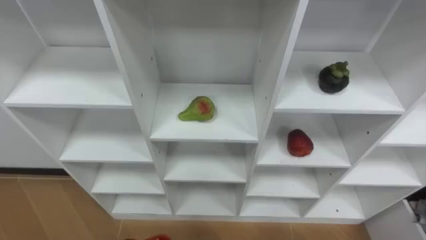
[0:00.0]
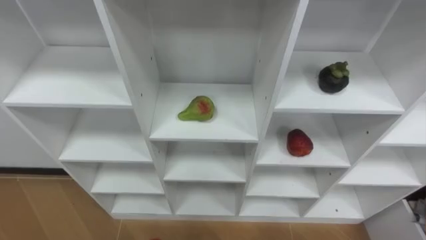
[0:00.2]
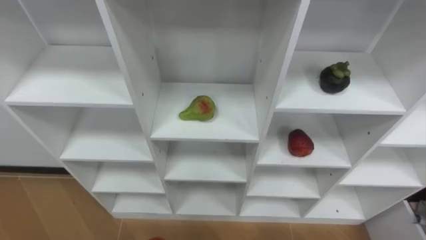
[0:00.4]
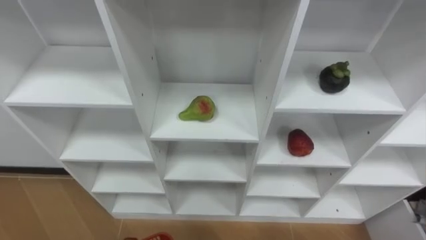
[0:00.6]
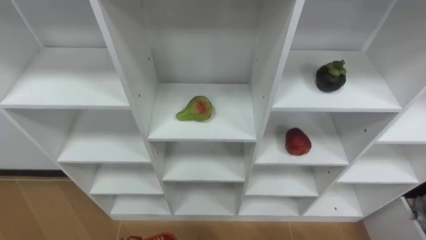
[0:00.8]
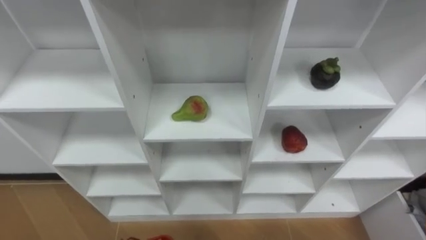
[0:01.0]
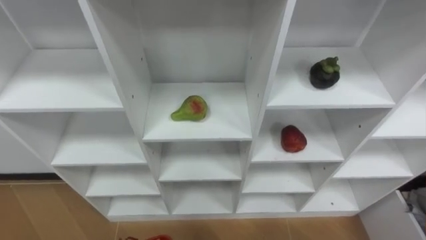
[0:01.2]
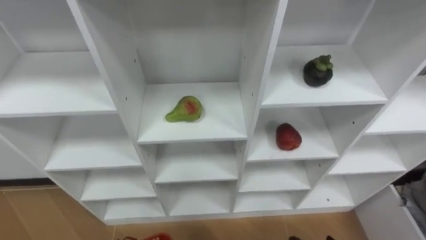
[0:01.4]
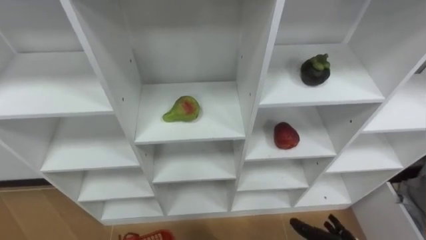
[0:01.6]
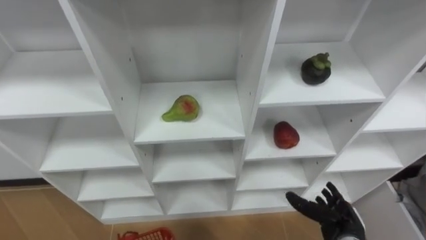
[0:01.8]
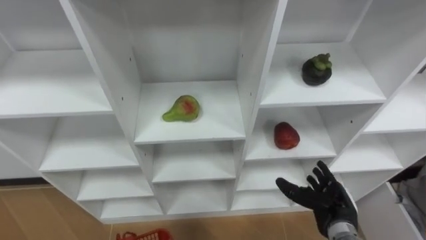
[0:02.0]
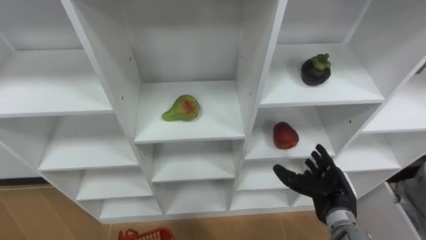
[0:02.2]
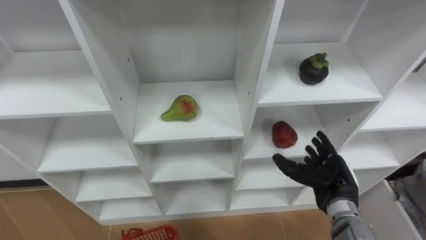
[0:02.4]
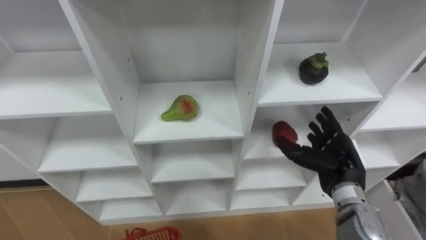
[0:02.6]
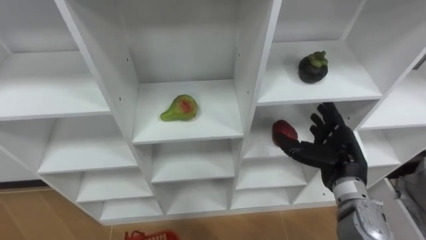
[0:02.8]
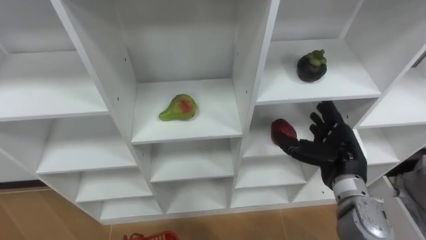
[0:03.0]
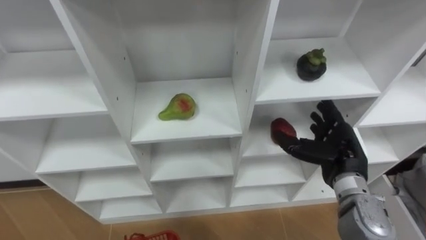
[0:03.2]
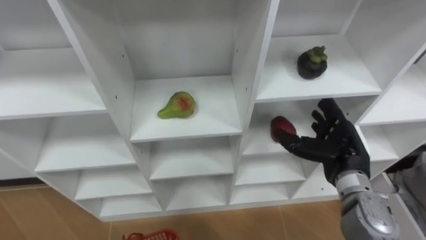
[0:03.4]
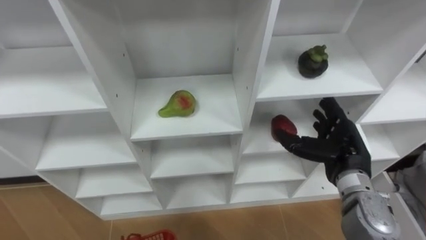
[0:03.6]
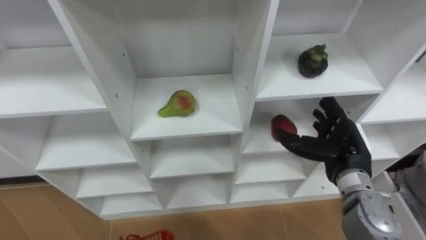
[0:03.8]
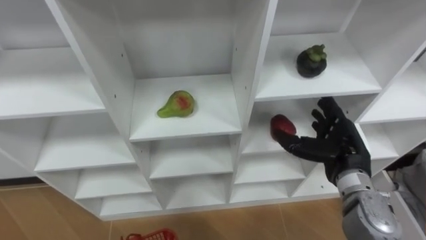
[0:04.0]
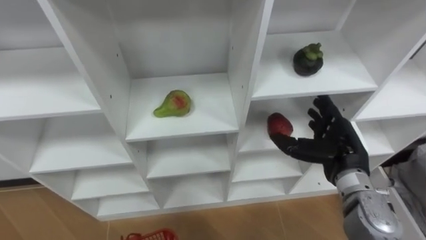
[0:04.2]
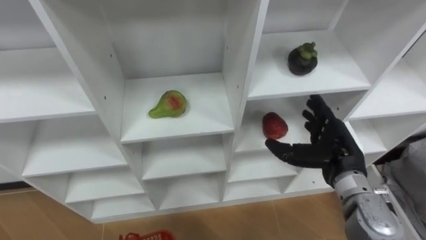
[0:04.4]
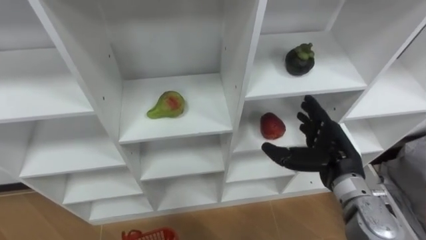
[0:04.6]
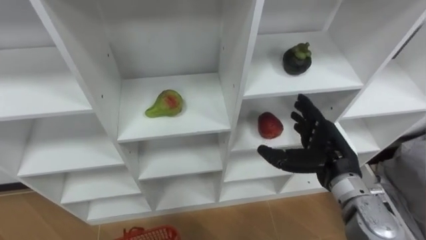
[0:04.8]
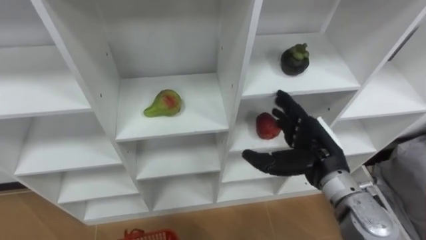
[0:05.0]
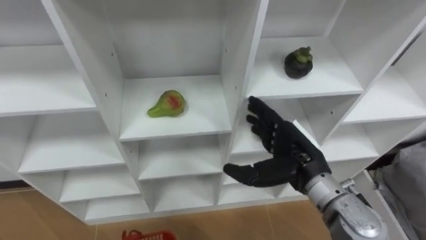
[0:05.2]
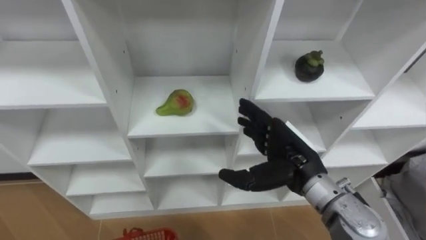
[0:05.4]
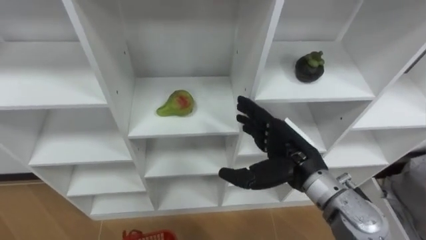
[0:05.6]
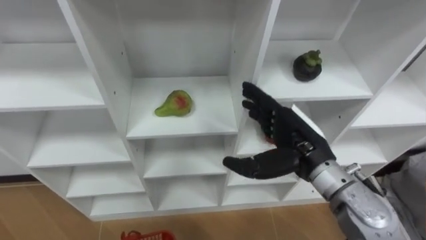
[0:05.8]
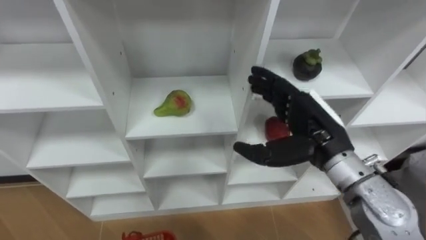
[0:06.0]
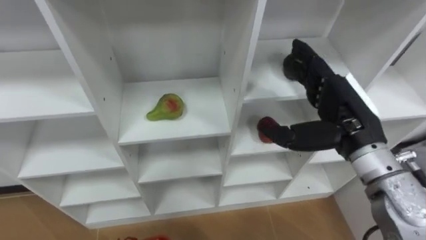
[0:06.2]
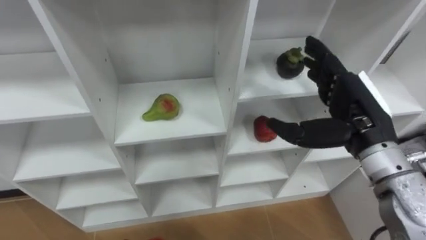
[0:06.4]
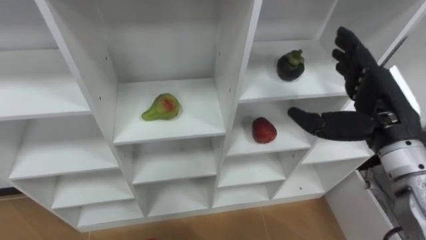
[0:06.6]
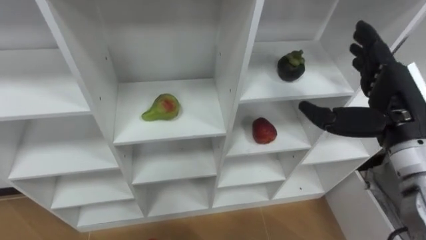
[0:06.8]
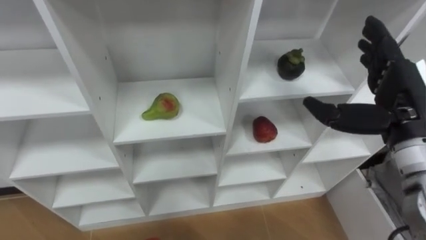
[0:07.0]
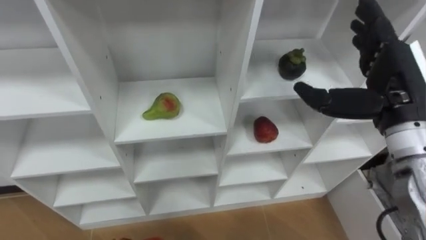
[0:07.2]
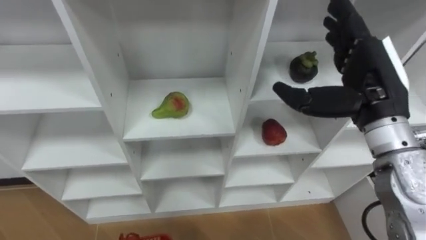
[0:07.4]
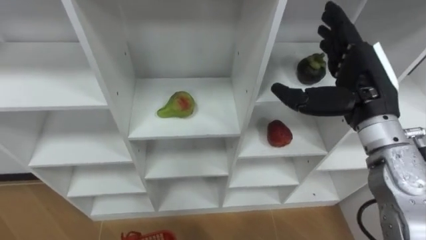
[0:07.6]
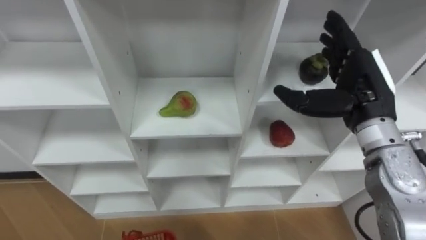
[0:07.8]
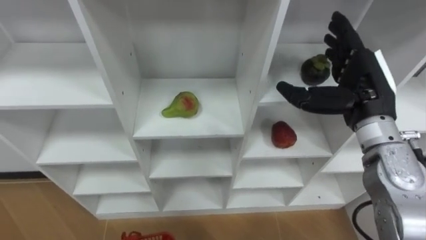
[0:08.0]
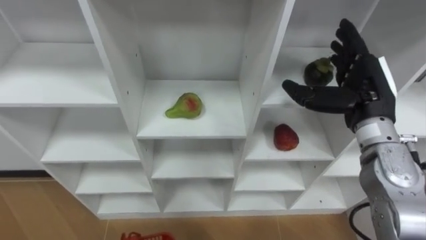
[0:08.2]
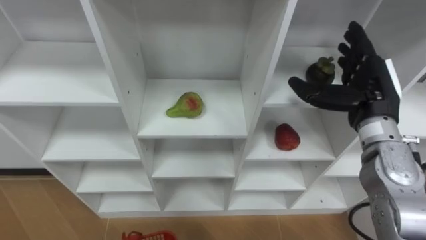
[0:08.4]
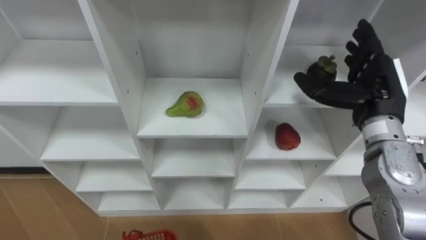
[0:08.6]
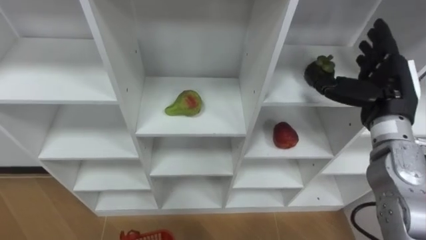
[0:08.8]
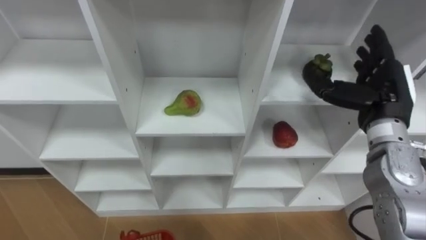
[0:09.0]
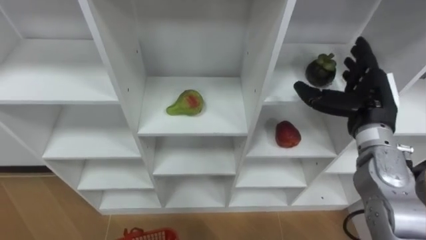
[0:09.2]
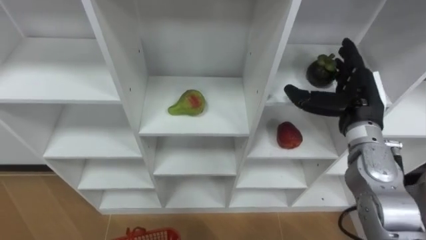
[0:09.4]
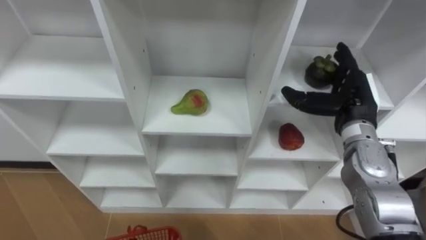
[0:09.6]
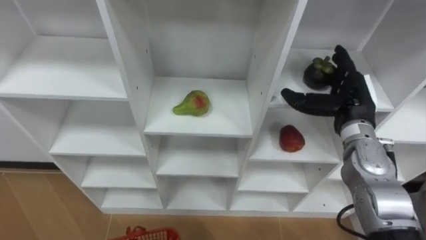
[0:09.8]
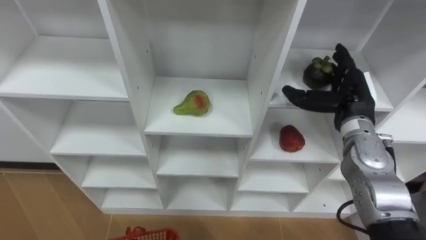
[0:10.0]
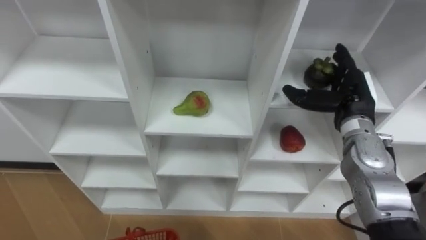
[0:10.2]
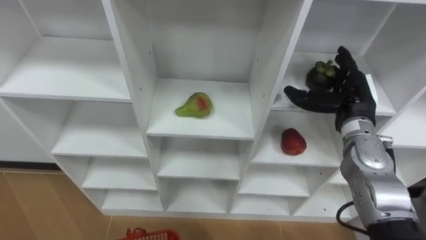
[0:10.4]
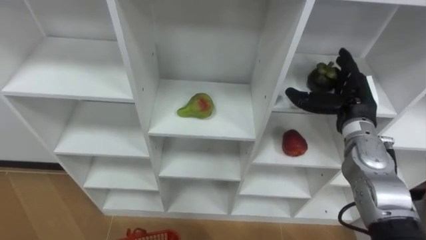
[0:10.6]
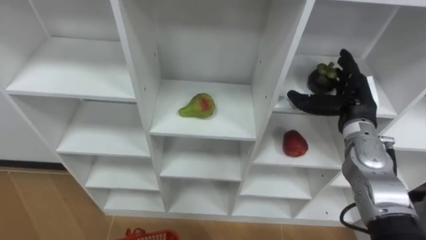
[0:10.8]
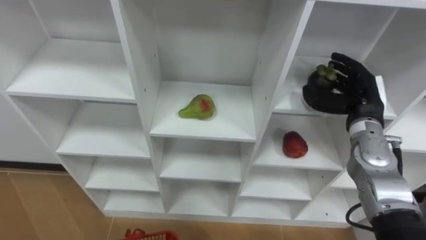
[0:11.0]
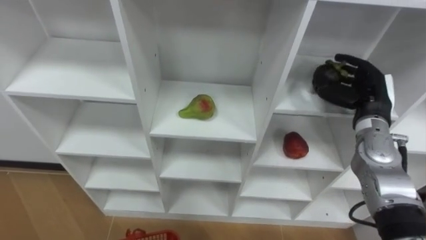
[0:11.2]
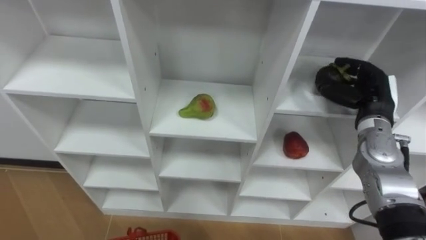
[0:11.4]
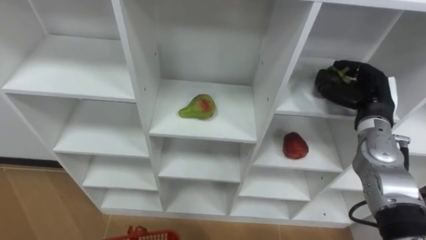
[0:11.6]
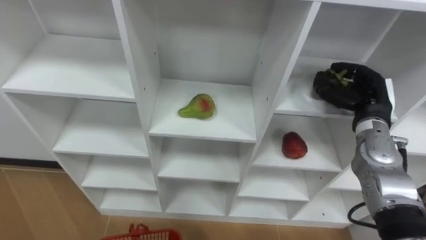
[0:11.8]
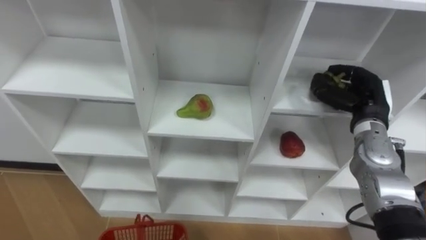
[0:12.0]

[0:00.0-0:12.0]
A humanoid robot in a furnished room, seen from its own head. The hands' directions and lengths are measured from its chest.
Task of the whole recording: Hold the basket and collect the fruits from 3 different cells of the closet into it.
0:04.4 to 0:06.0: The right hand is displaced upward and to the left by roughly 10 cm.
0:06.0 to 0:07.6: The right hand shifts some 10 cm to the right and upward.
0:07.6 to 0:09.0: The right hand shifts approximately 5 cm to the right.
0:09.0 to 0:10.4: The right hand moves downward, approximately 5 cm.
0:10.4 to 0:12.0: The right hand closes up.

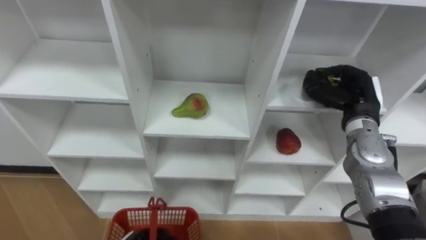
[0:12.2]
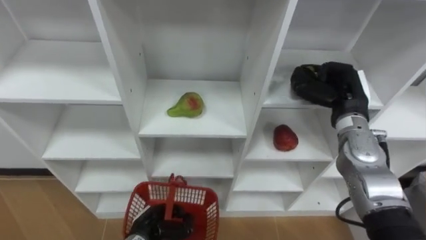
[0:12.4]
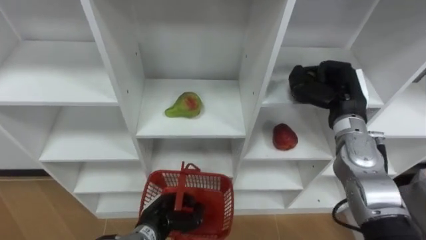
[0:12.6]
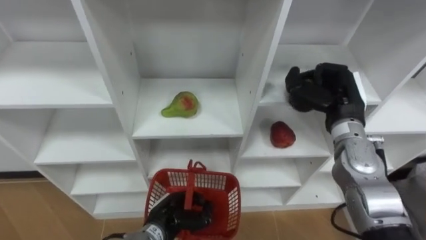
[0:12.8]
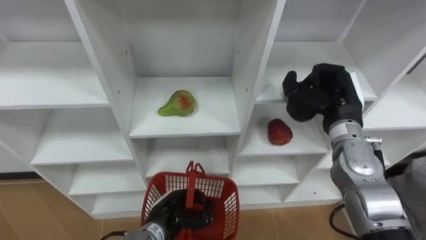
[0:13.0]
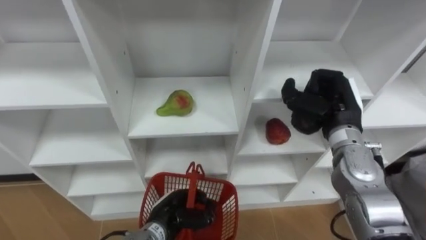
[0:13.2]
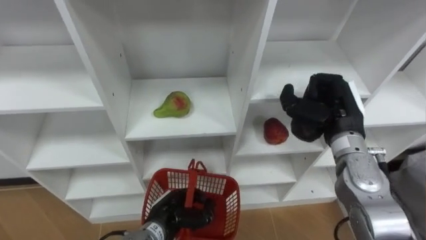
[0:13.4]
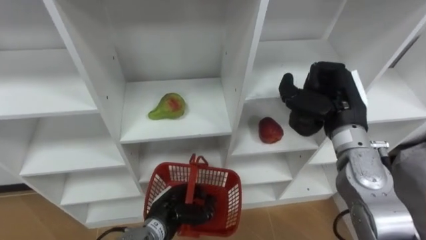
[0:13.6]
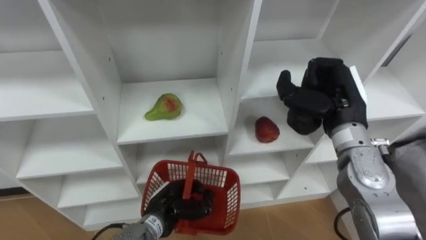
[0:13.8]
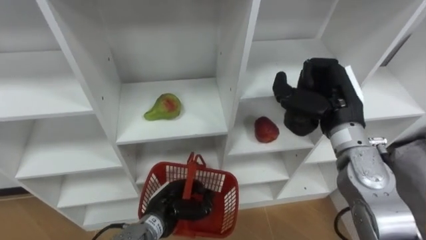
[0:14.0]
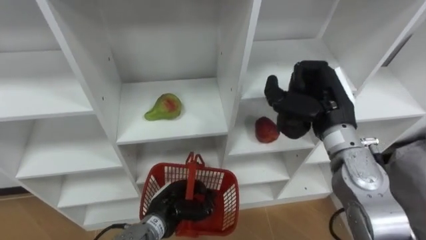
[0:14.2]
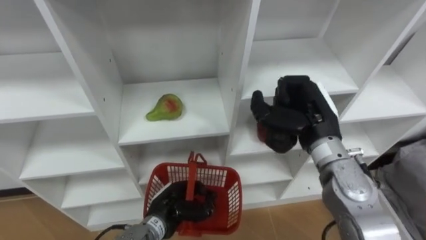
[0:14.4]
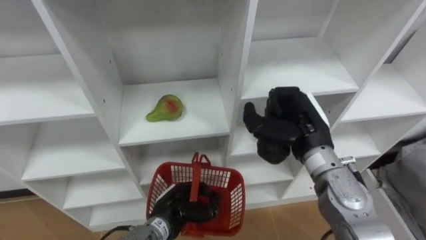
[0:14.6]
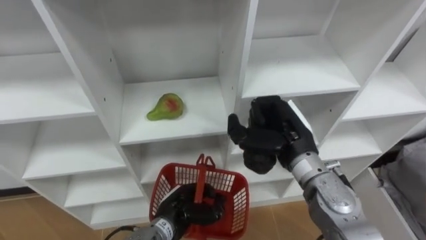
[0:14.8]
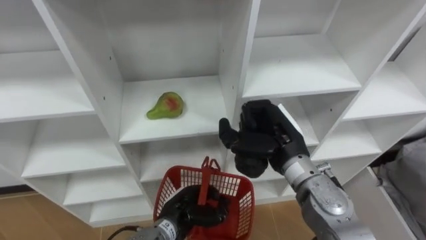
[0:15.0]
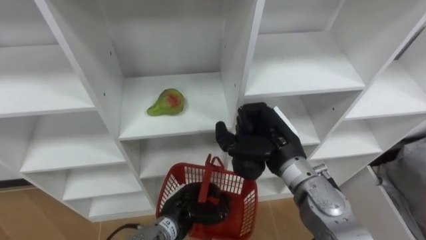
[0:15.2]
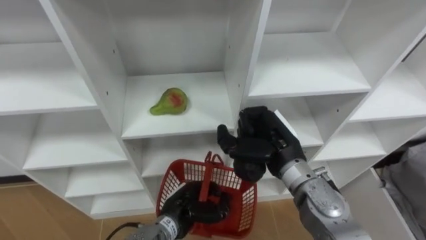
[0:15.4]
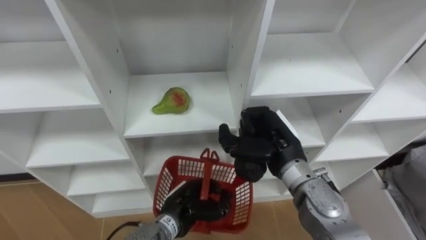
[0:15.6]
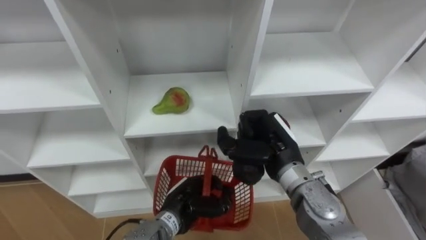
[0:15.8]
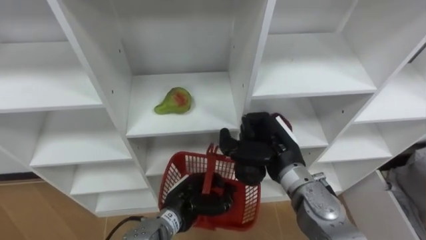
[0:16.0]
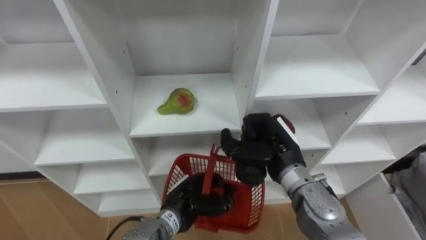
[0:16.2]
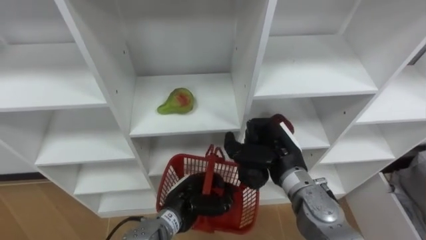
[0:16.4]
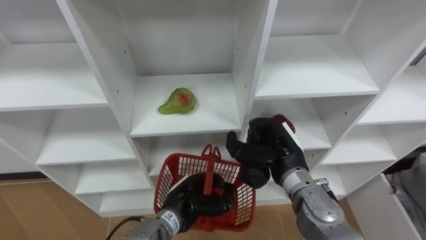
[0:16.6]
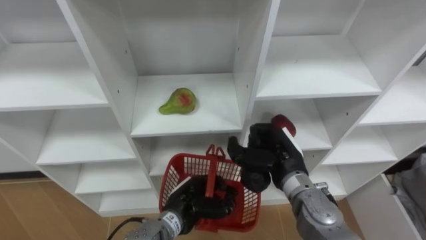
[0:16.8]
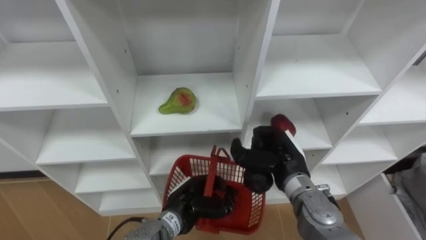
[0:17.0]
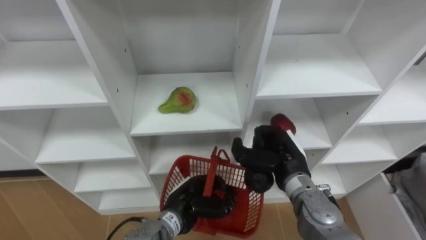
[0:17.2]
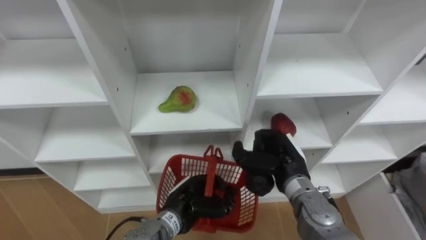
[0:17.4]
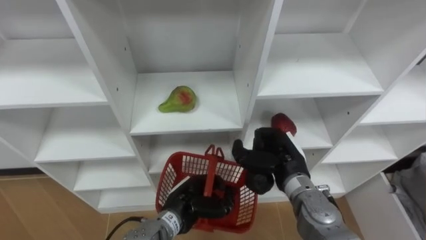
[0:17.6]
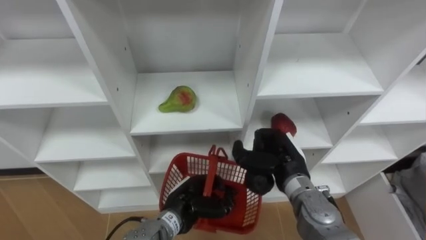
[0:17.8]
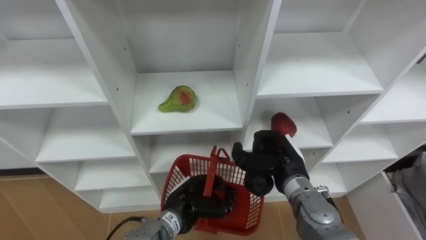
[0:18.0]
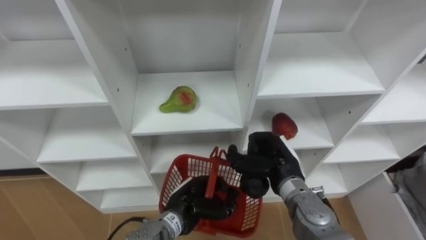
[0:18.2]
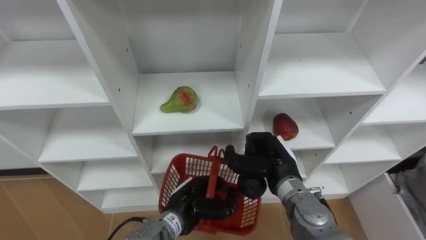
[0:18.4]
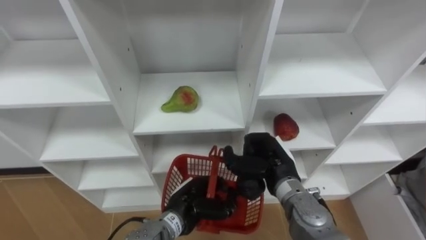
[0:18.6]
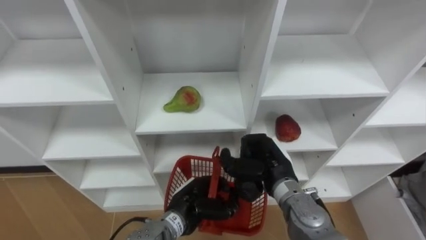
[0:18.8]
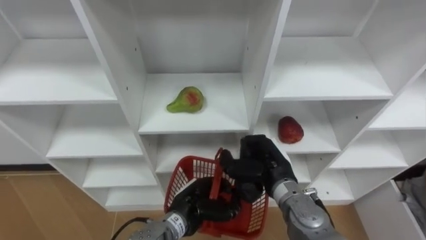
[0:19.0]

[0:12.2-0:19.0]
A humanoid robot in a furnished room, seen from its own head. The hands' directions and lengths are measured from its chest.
Task of the whole recording: Hold the basket and collect the fruits from 3 different cells of the closet into it.
0:12.2 to 0:13.6: The right hand goes roughly 5 cm to the left.
0:13.6 to 0:15.0: The right hand moves to the left, roughly 10 cm.
0:16.2 to 0:17.6: The hands make only small movements.
